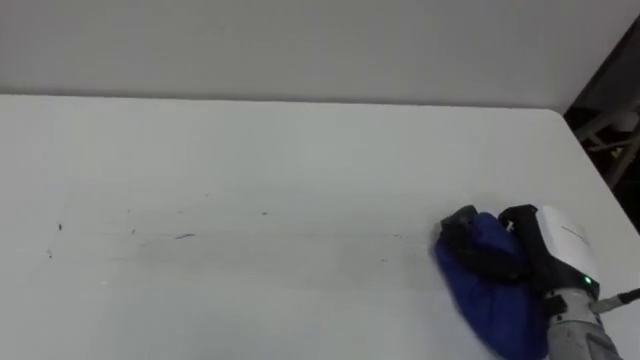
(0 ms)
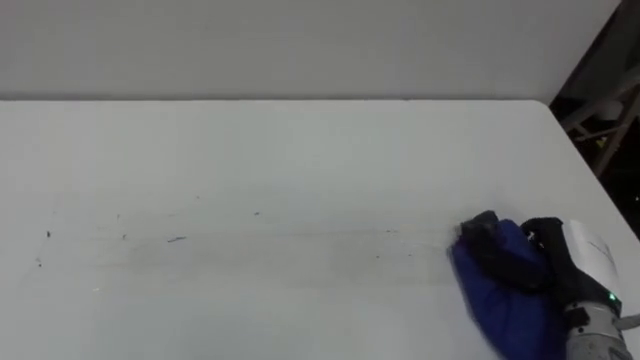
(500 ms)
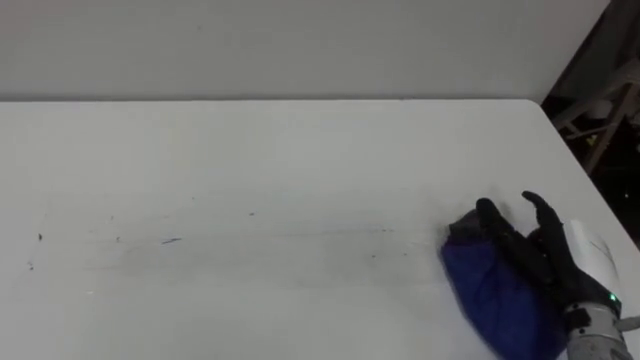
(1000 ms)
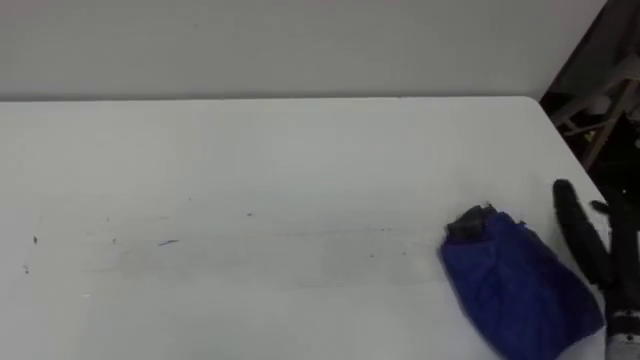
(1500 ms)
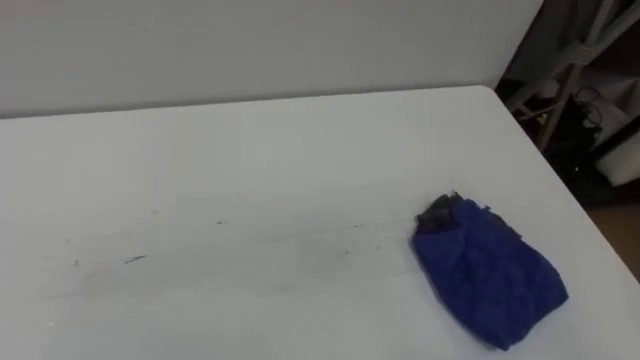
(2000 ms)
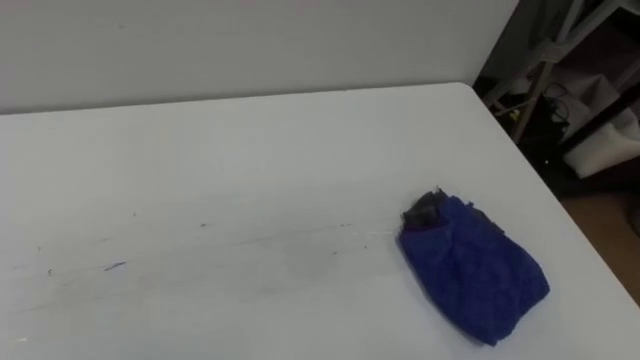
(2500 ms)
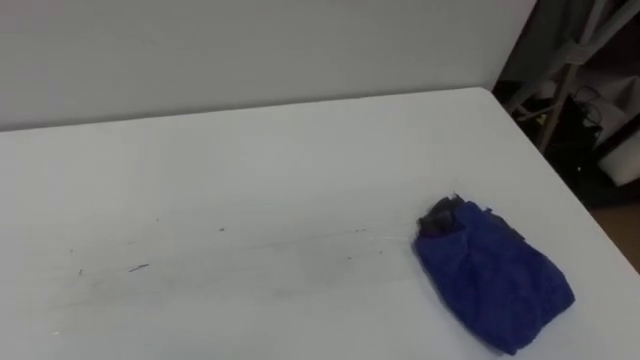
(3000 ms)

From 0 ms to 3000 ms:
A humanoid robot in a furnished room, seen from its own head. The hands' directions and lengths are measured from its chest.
Task of the whole recording: Wipe the blue pen marks off the table with the rag.
From 0 ms to 1500 ms: The right hand travels to the right by about 5 cm, and opens up.

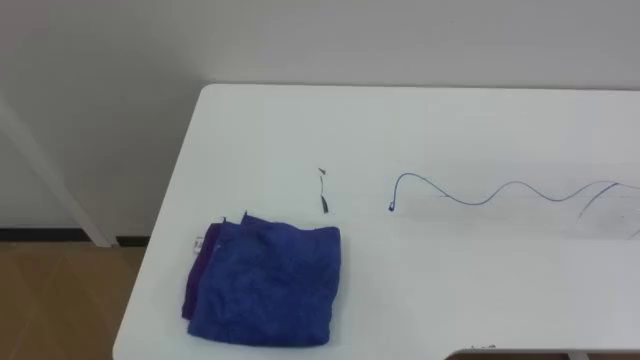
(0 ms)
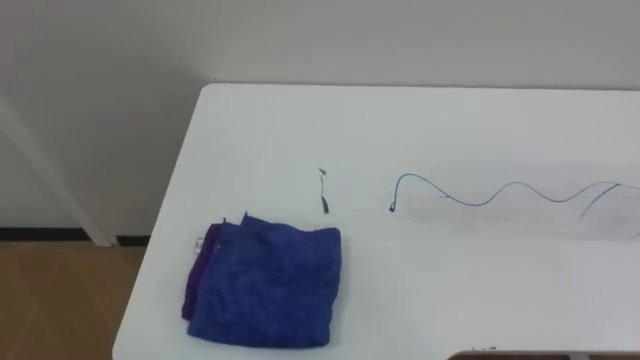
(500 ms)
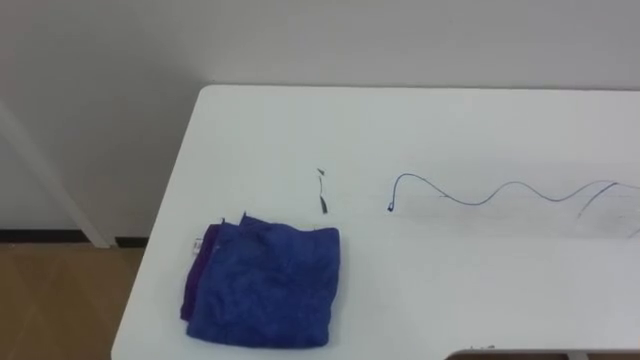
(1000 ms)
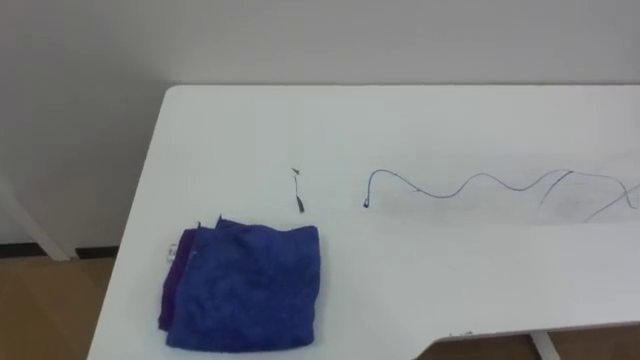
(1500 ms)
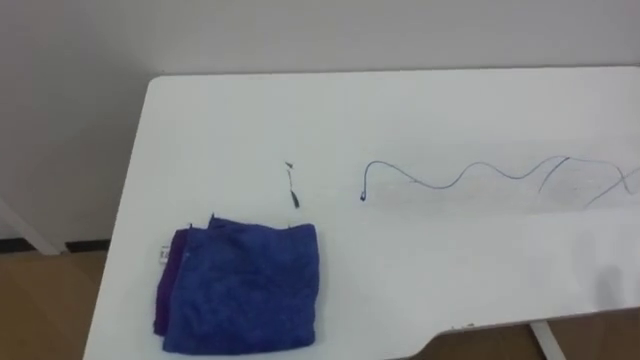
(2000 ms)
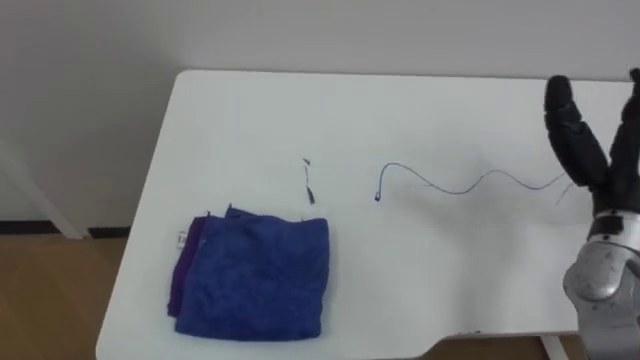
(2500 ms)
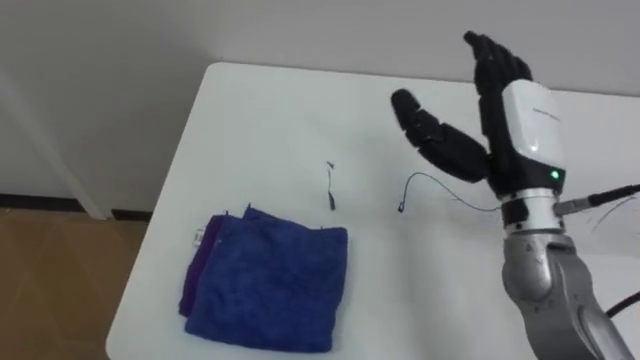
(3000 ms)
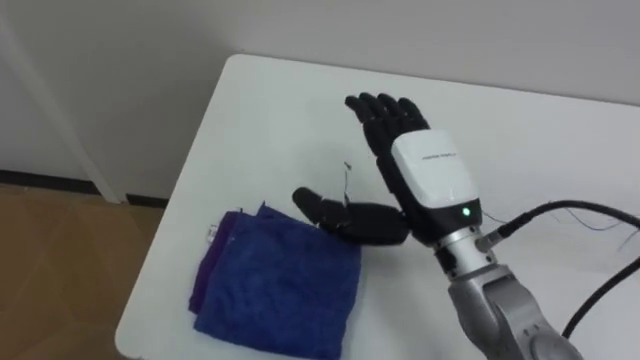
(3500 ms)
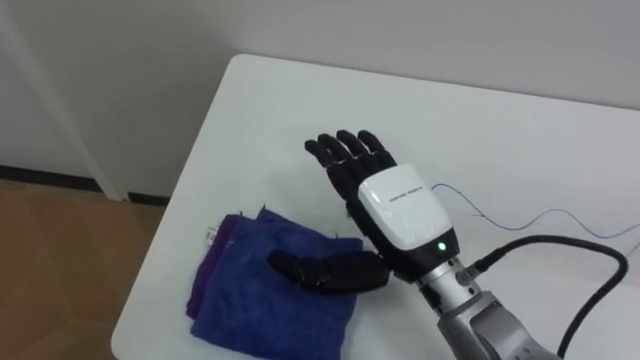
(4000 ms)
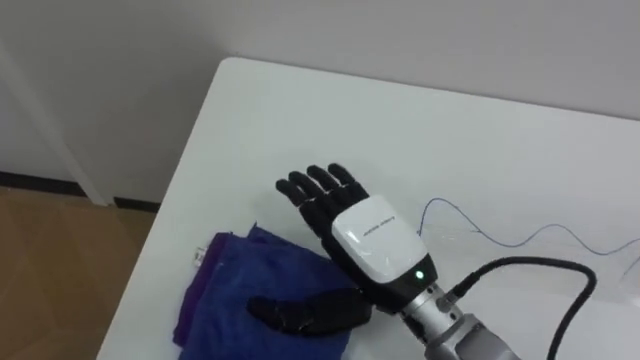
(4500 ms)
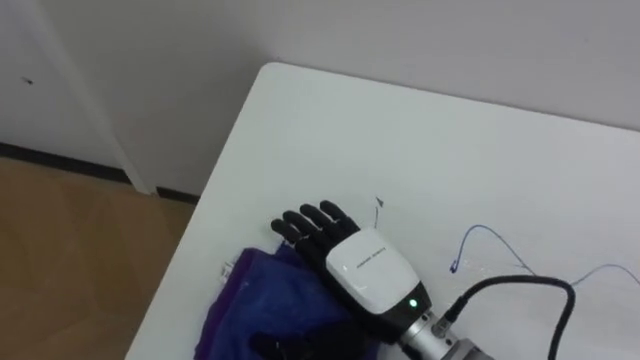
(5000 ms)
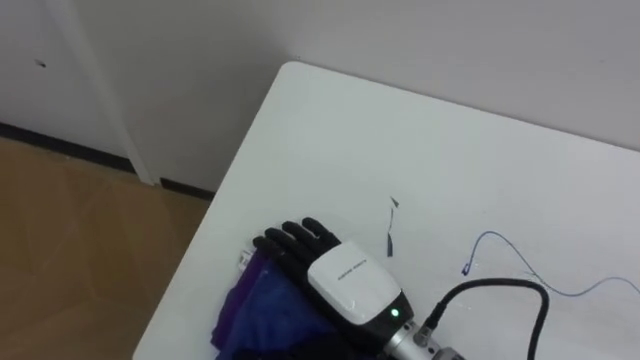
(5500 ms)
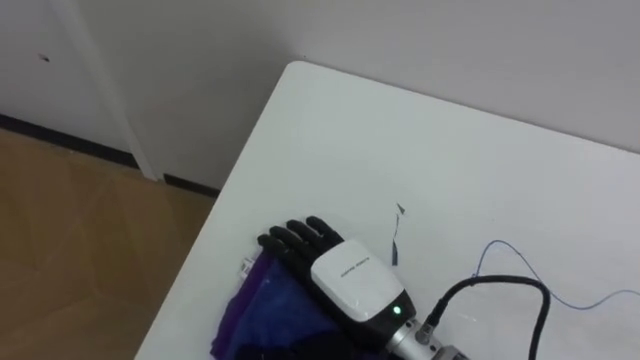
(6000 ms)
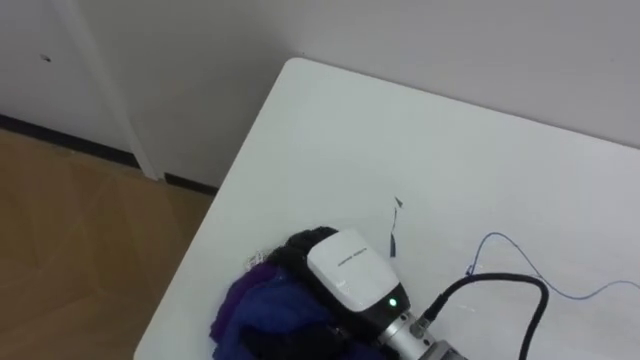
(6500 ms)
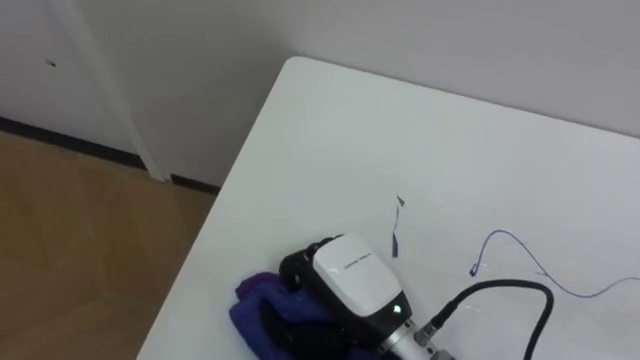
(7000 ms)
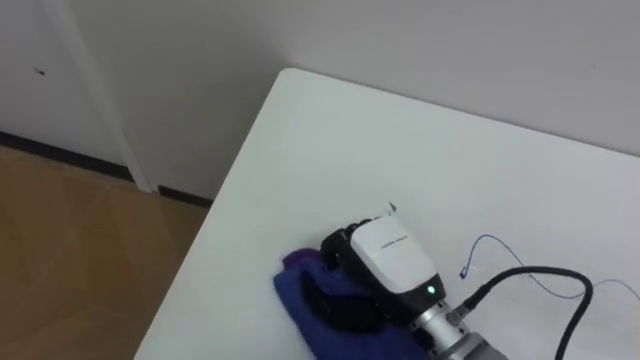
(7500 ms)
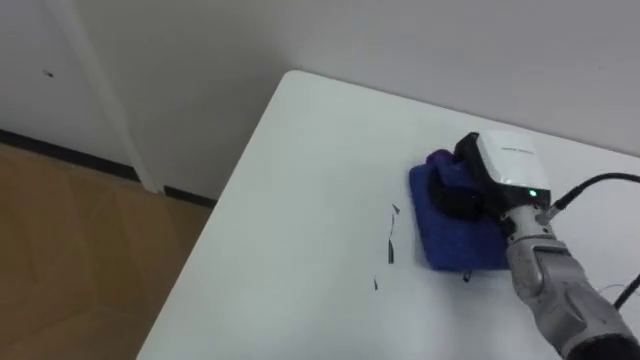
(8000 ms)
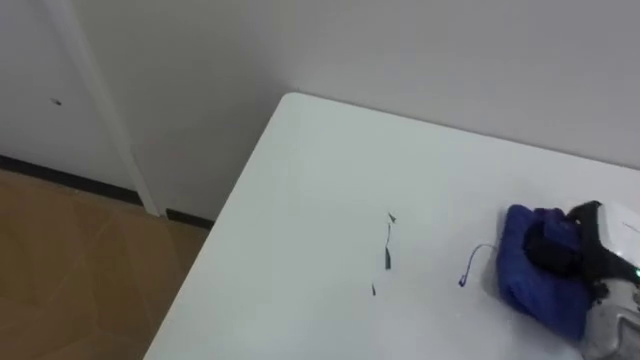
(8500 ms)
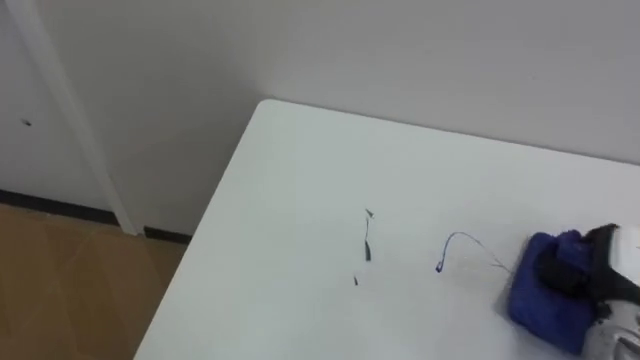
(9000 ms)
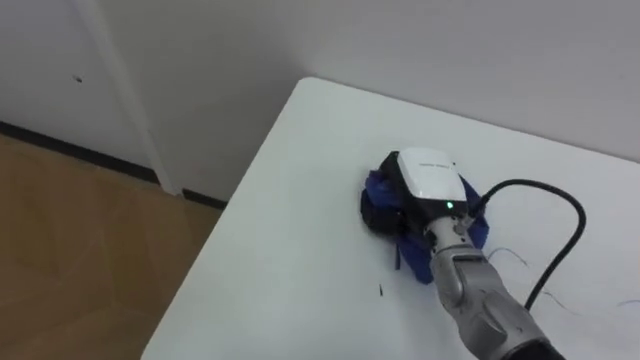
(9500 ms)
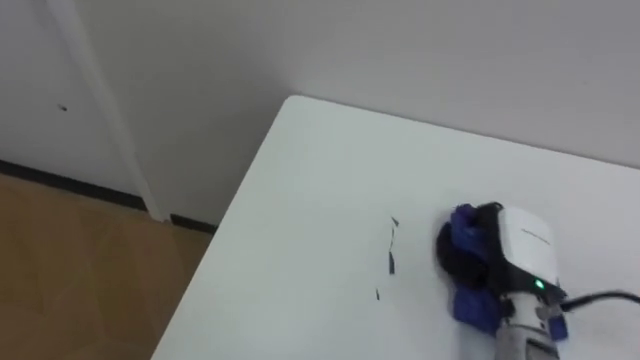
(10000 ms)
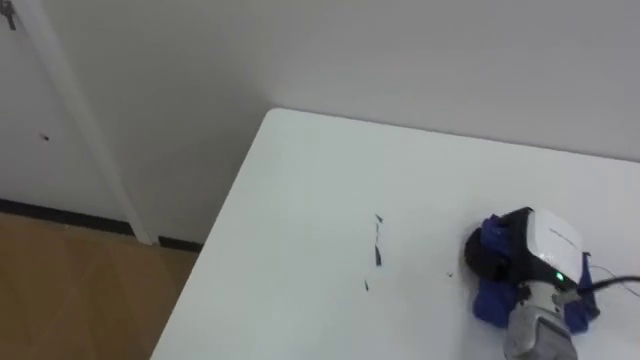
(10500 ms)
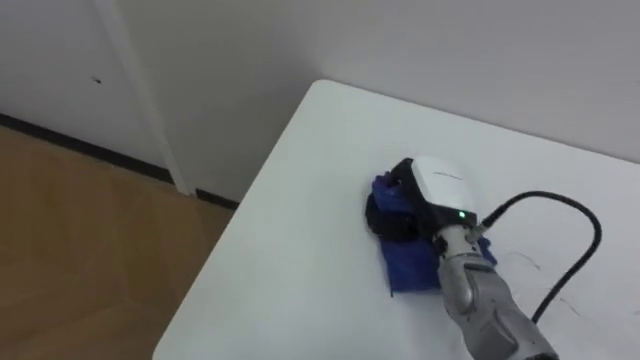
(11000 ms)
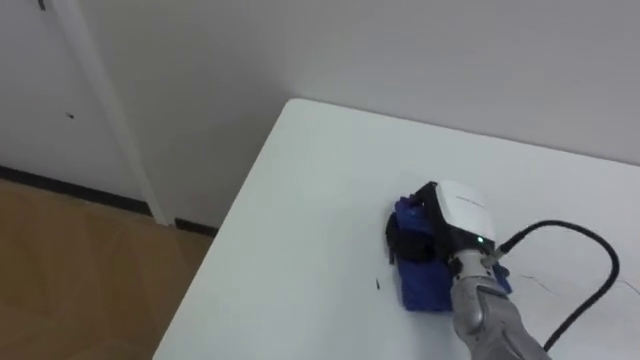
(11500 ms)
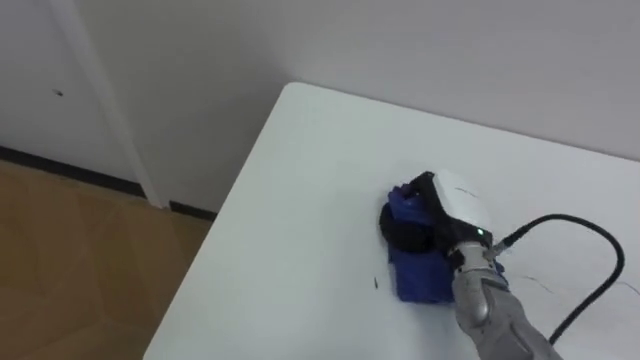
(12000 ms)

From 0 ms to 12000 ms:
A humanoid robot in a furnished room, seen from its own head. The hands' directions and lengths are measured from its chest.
Task of the whole recording: Wipe the blue pen marks off the table with the rag.
From 4000 ms to 6000 ms: The right hand is displaced downward and backward by some 10 cm.
From 6000 ms to 8000 ms: The right hand shifts some 25 cm to the right and forward, and closes its fingers.
From 8000 ms to 10000 ms: The right hand goes left and right, some 25 cm each way, reversing 2 times.
From 10000 ms to 12000 ms: The right hand heads to the left and forward, covering approximately 10 cm.

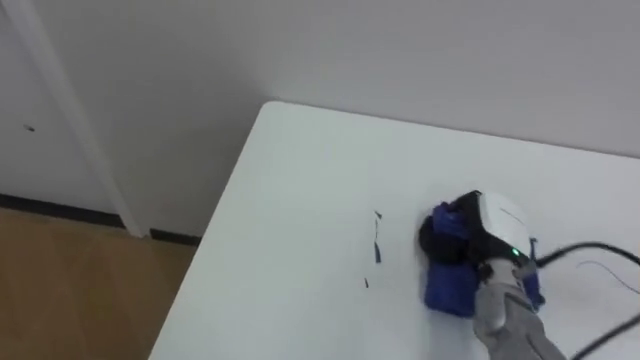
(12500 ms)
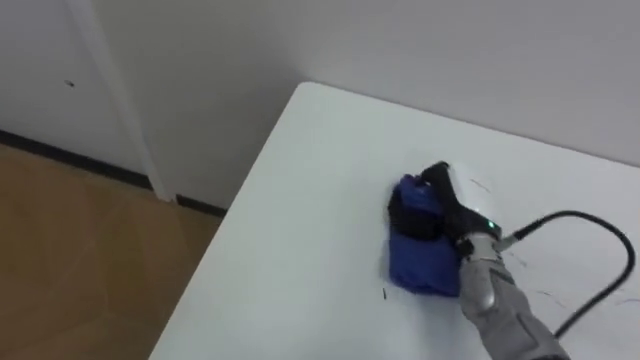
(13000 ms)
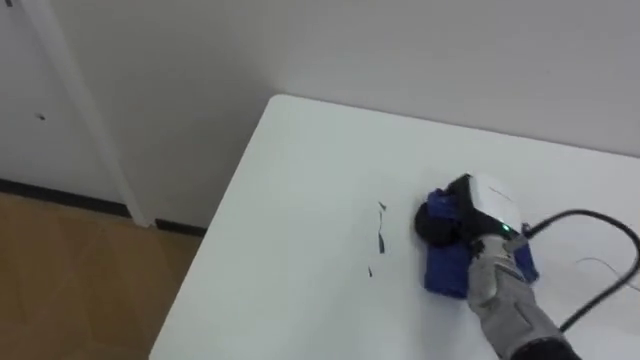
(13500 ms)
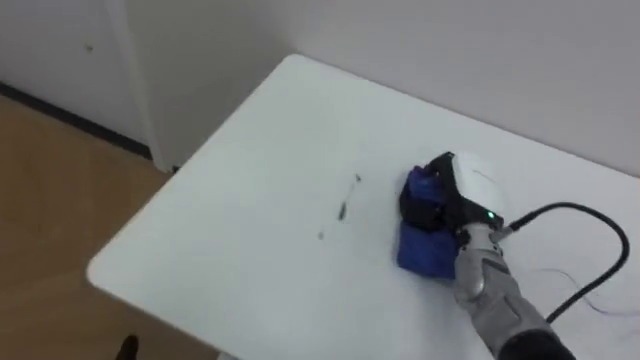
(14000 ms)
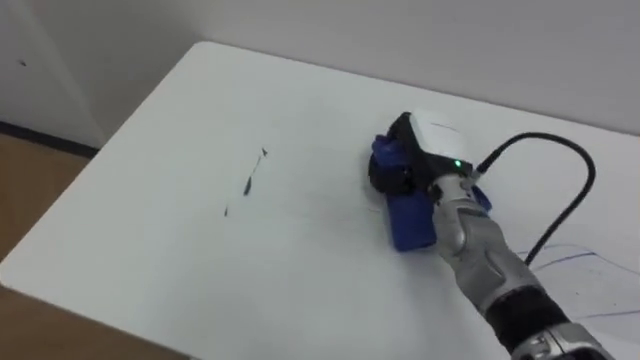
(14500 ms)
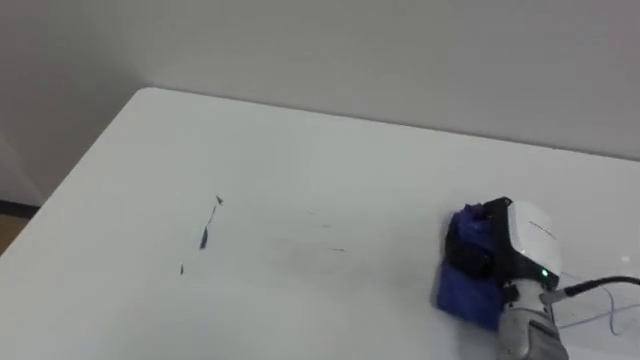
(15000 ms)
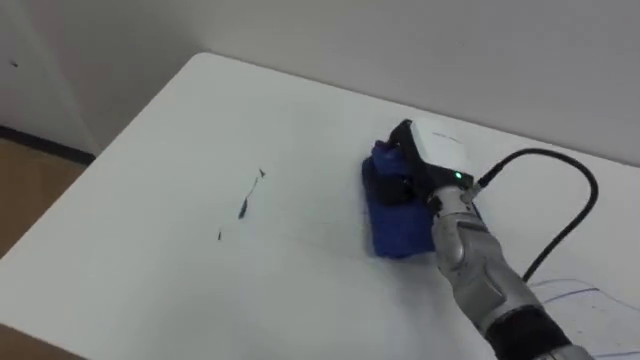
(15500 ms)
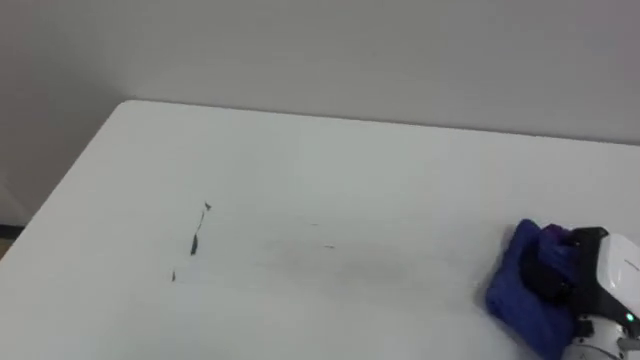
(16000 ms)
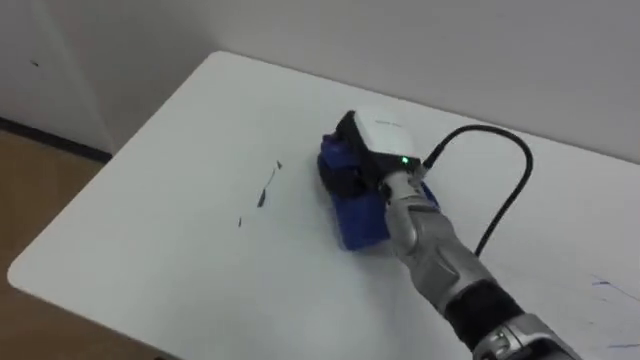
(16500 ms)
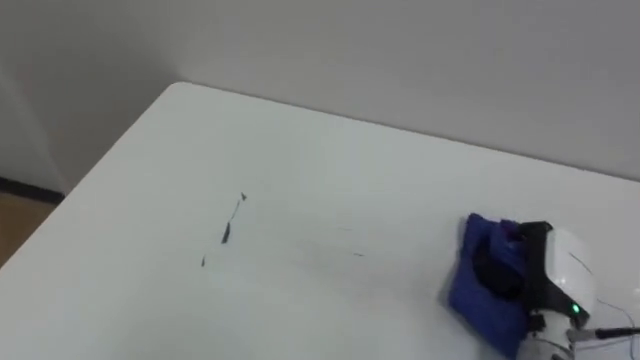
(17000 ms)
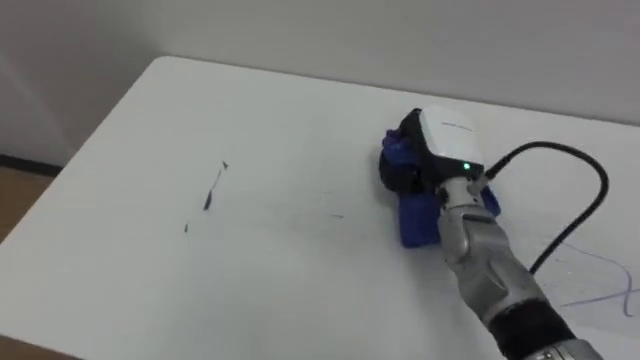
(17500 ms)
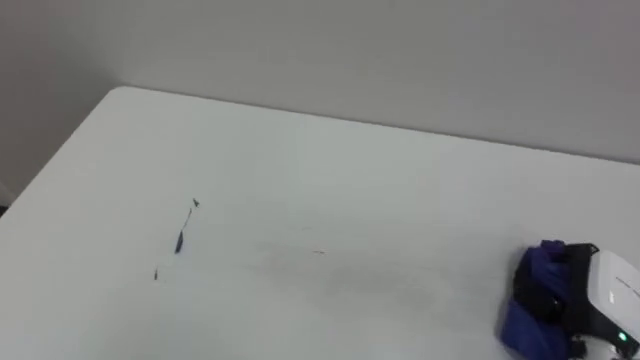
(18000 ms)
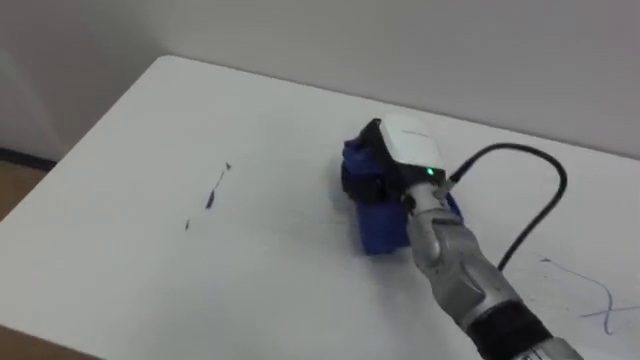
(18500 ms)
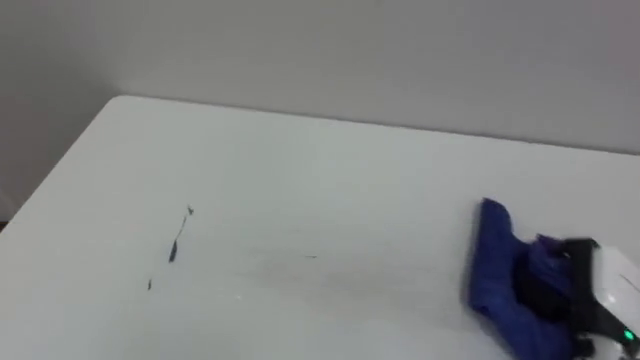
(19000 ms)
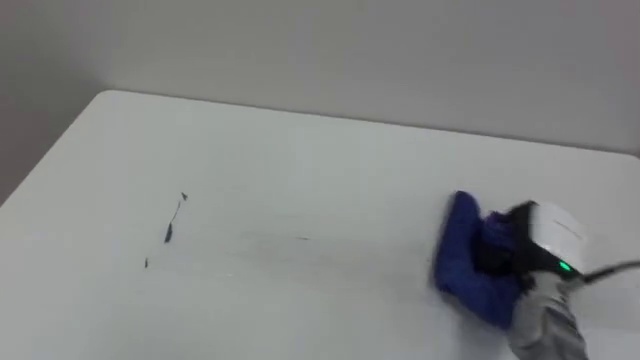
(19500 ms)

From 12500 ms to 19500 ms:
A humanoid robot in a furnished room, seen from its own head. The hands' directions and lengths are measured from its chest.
Task of the whole recording: Wipe the blue pen marks off the table with the rag.
From 12500 ms to 14500 ms: The right hand moves forward, to the left and upward, roughly 15 cm.
From 14500 ms to 16000 ms: The right hand goes left and right, about 20 cm each way, reversing 2 times.
From 16000 ms to 17500 ms: The right hand swings left and right, approximately 25 cm each way, with 2 reversals.
From 17500 ms to 19500 ms: The right hand goes left and right, about 20 cm each way, reversing 2 times.
